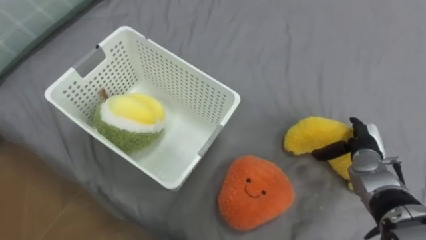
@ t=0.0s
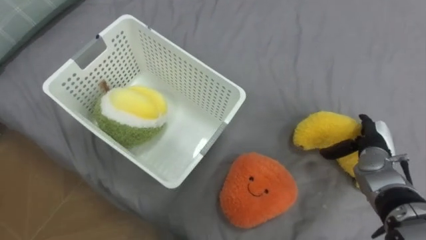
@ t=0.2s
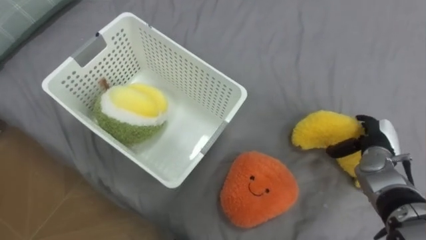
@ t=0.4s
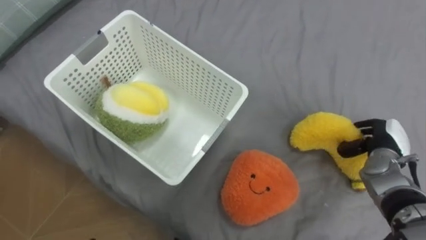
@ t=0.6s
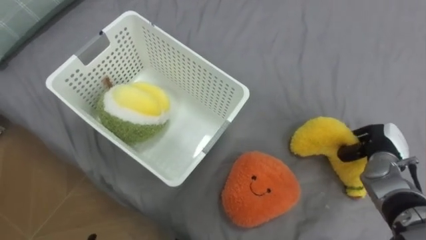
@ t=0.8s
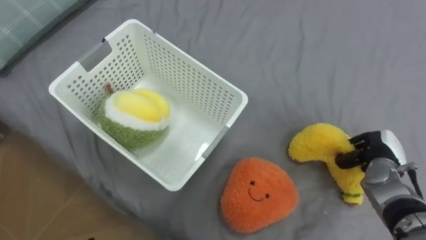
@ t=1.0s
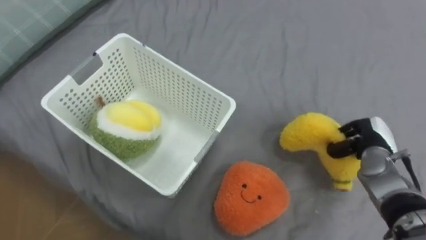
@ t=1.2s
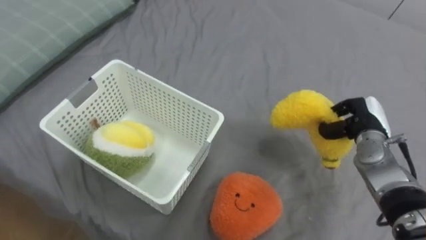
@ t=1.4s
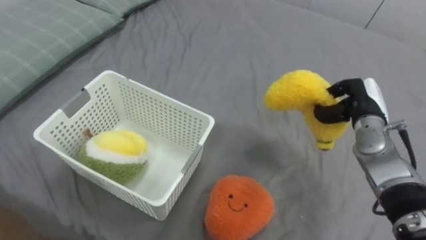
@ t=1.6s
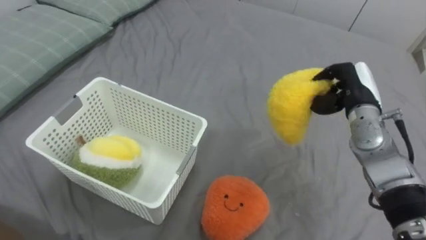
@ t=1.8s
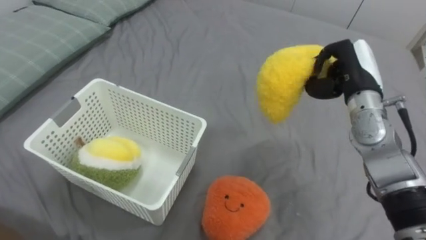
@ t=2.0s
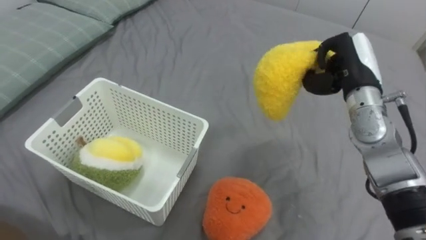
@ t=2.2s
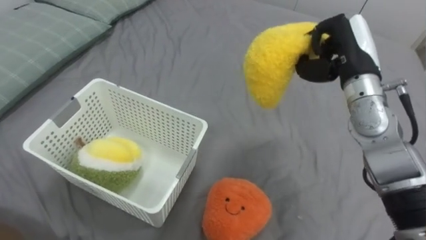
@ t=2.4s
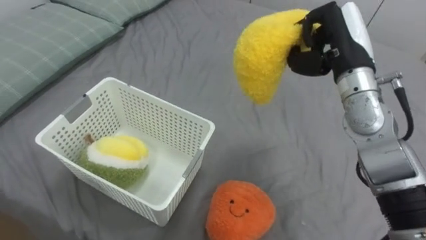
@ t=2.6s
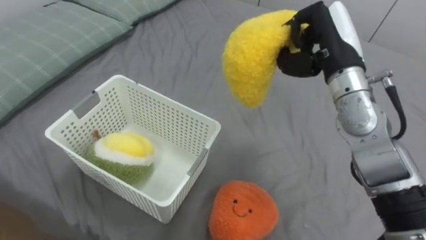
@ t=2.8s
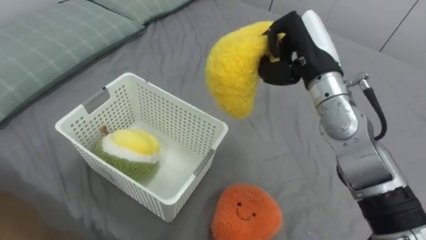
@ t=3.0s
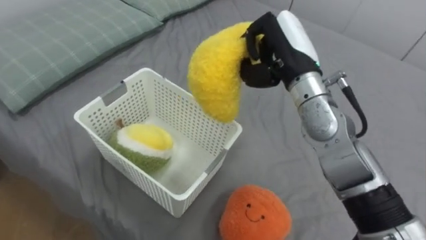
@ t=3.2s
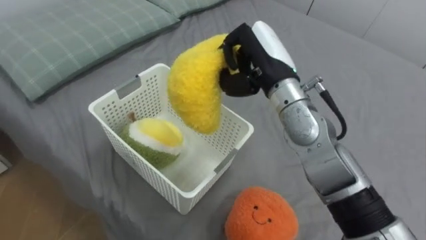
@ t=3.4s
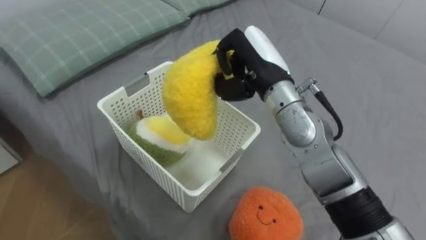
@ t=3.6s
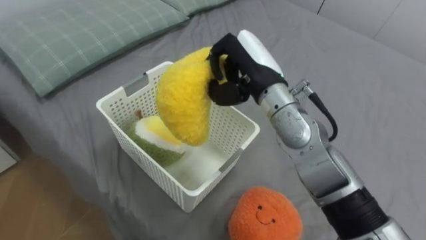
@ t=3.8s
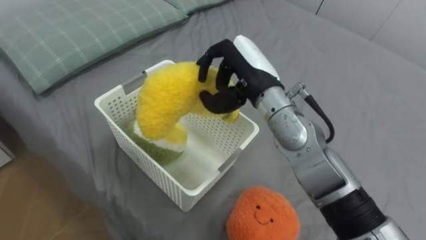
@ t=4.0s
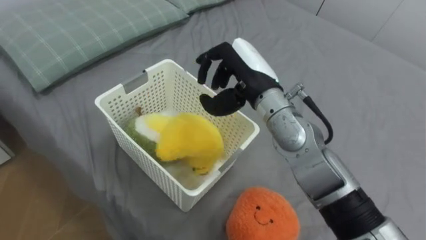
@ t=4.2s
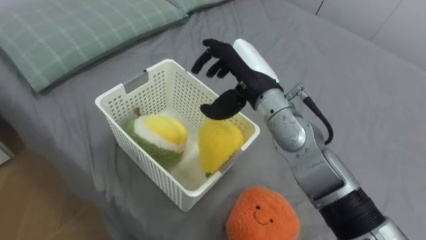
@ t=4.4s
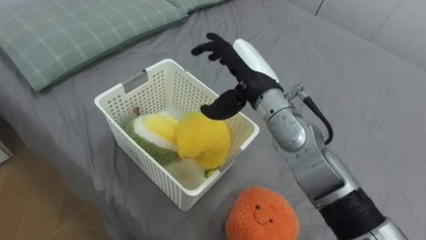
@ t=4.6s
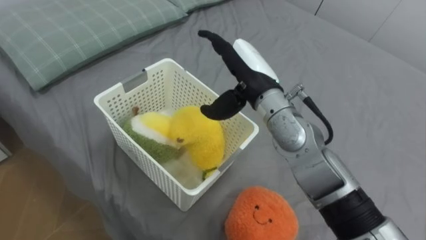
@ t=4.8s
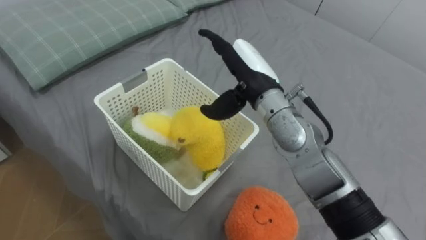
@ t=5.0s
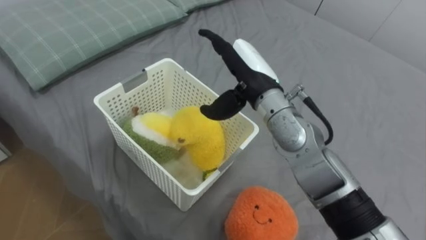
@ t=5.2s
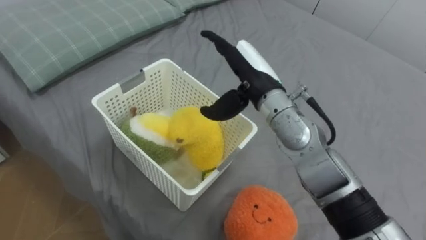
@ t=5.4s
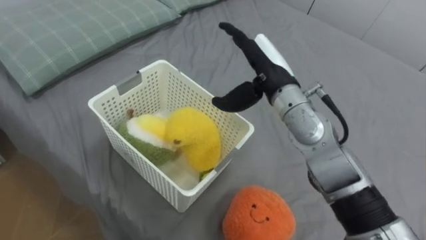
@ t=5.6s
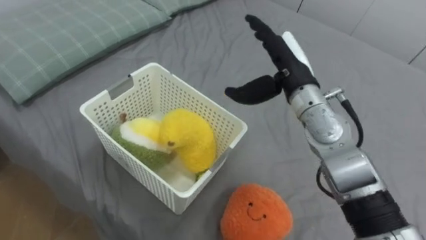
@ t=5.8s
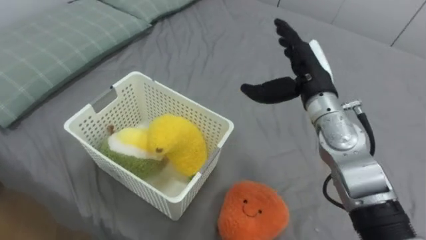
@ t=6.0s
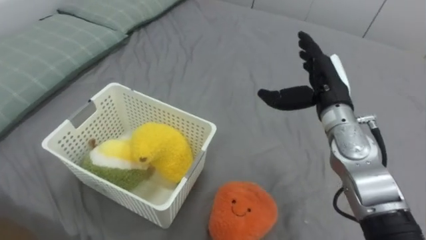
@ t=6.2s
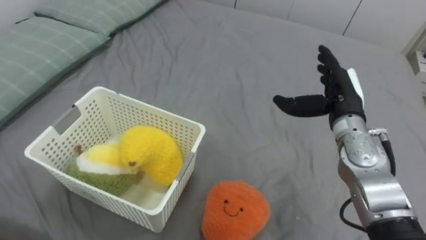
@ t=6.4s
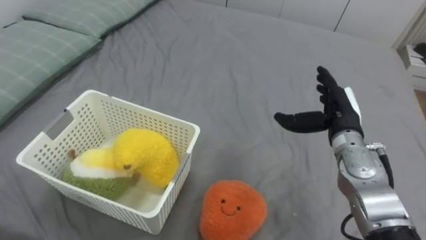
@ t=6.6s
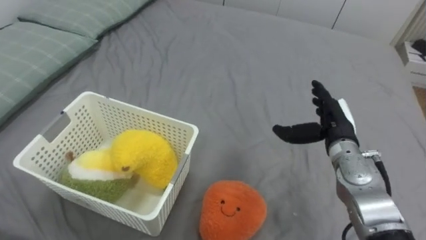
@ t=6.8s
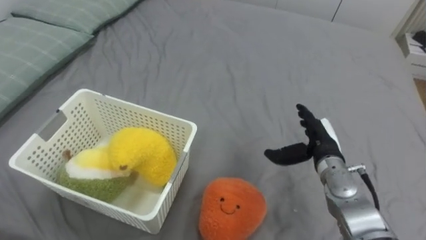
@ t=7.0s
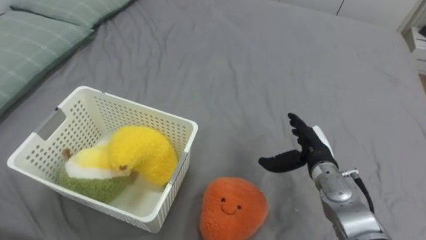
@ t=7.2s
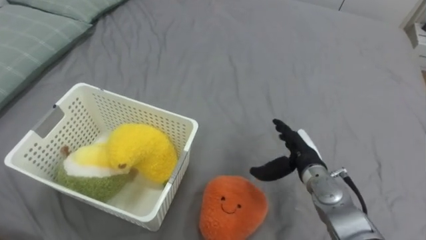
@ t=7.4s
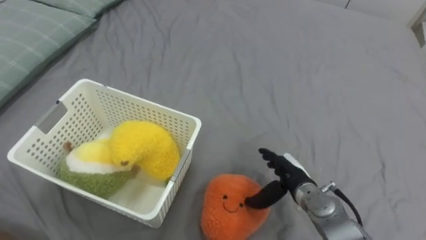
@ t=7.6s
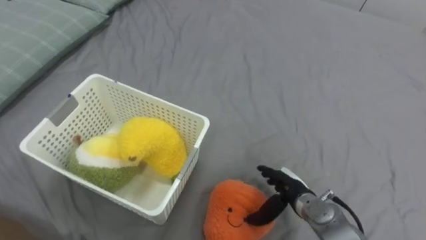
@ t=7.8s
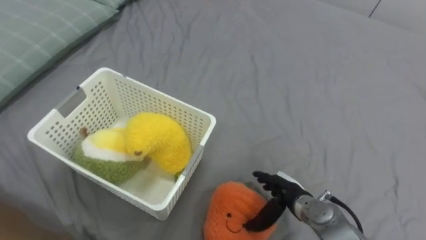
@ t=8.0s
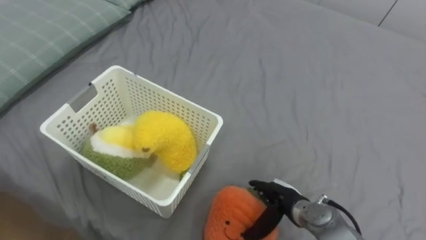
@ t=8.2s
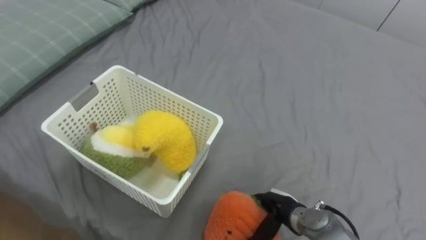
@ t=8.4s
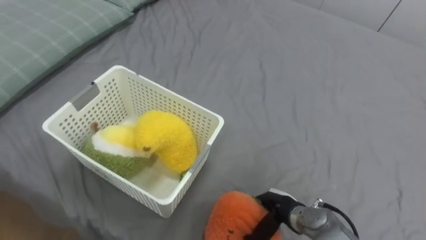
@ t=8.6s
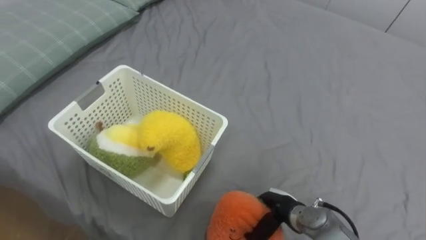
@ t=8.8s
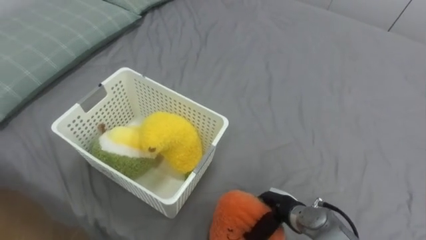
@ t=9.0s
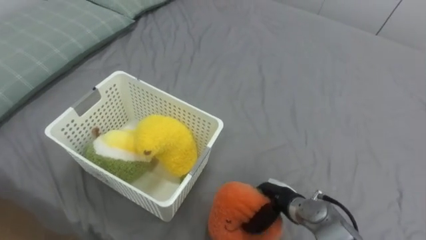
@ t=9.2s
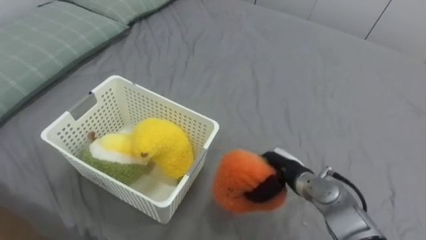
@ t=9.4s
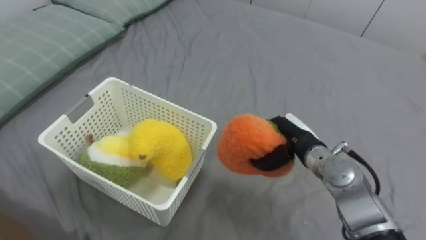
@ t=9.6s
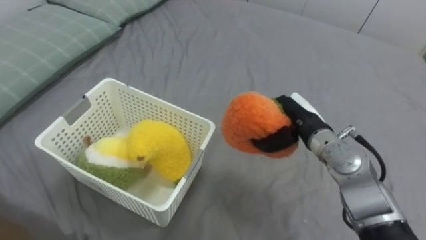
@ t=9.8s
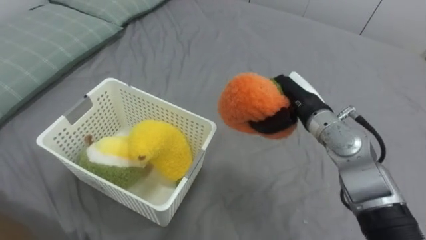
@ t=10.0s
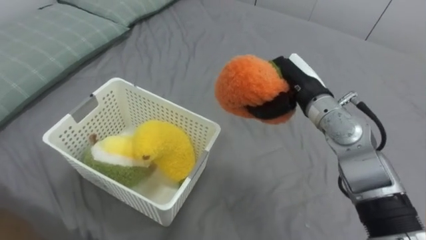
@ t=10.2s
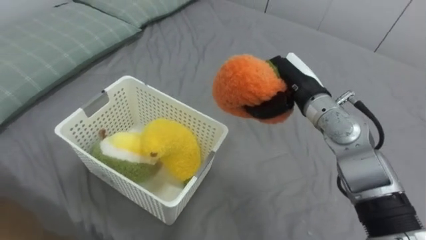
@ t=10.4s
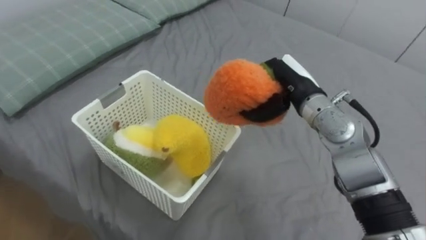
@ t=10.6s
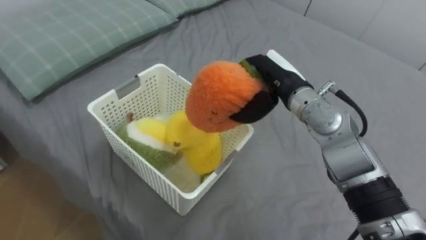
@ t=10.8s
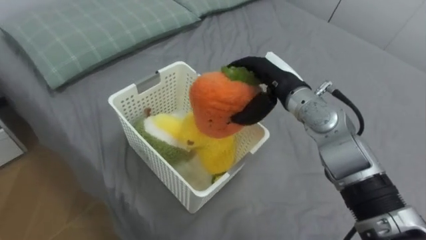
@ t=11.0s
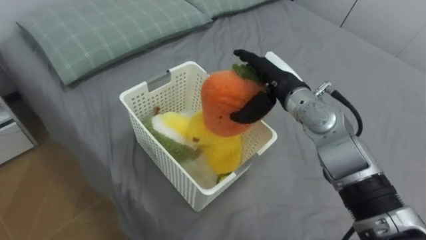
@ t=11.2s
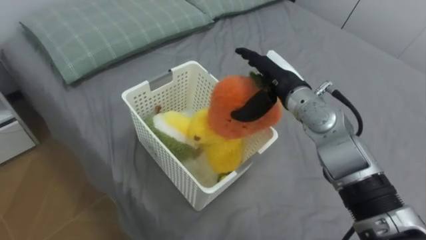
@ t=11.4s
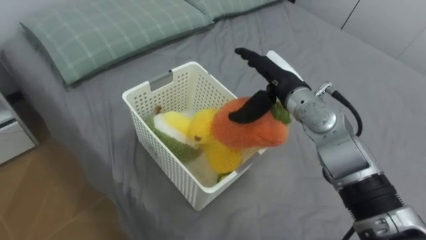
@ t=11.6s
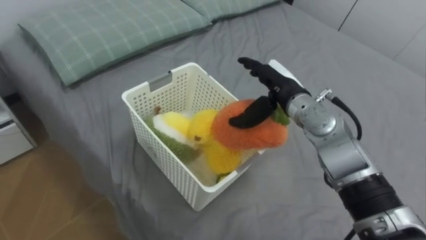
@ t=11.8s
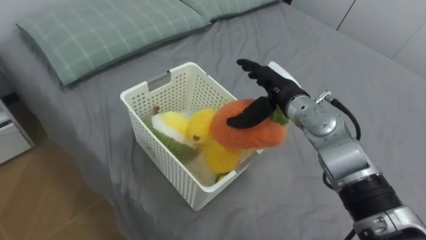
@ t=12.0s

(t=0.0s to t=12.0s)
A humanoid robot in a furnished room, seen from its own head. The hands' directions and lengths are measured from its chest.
Task of the whole recording: Put the toys on the bed into the basket on the left.
t=0.0s - t=1.6s: The right hand shifts approximately 5 cm upward, and closes up.
t=1.6s - t=3.0s: The right hand travels upward and to the left by roughly 20 cm.
t=3.0s - t=4.4s: The right hand shifts some 10 cm to the left, and opens.
t=4.4s - t=6.0s: The right hand goes some 10 cm to the right.
t=6.0s - t=7.6s: The right hand shifts some 20 cm downward and backward.
t=7.6s - t=9.0s: The right hand shifts some 10 cm backward and downward, and closes.
t=9.0s - t=10.4s: The right hand is displaced upward and forward by approximately 30 cm.
t=10.4s - t=12.0s: The right hand opens its fingers.

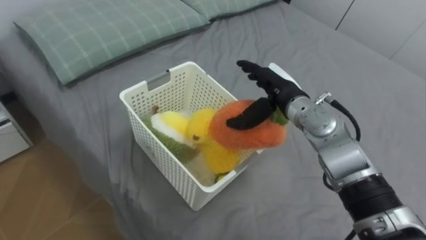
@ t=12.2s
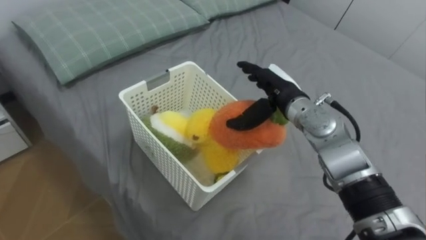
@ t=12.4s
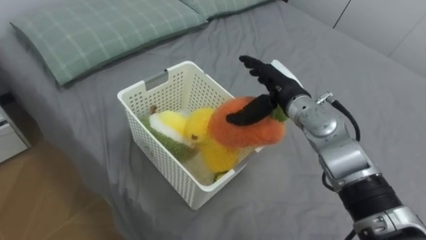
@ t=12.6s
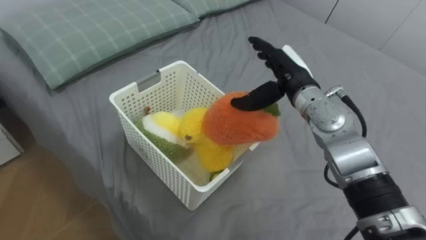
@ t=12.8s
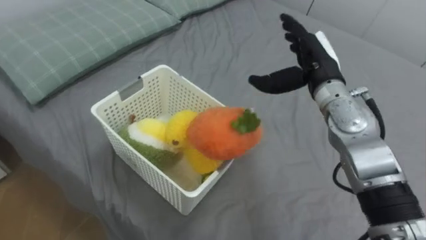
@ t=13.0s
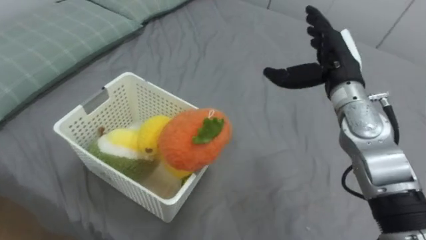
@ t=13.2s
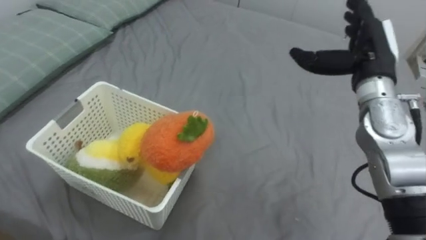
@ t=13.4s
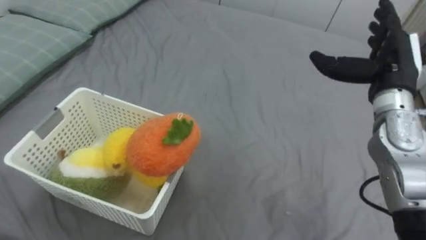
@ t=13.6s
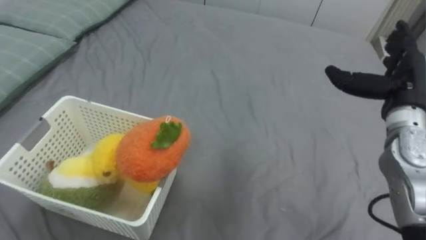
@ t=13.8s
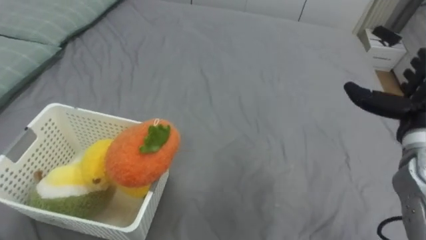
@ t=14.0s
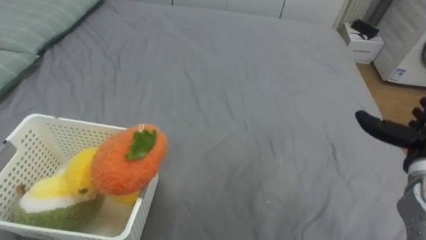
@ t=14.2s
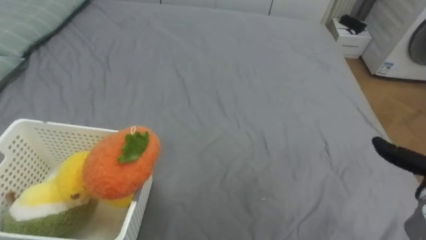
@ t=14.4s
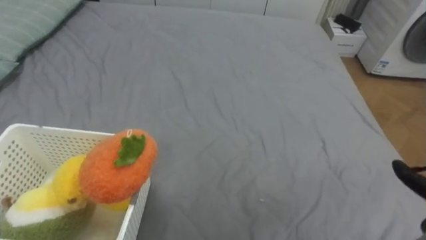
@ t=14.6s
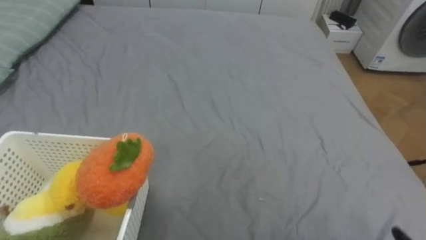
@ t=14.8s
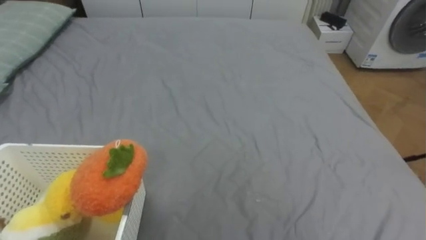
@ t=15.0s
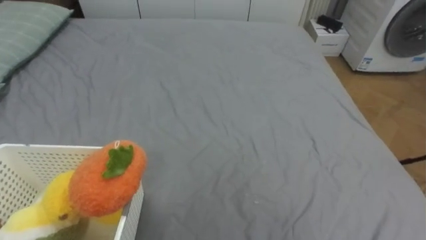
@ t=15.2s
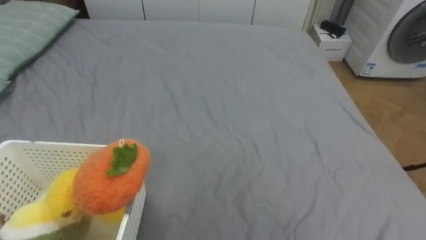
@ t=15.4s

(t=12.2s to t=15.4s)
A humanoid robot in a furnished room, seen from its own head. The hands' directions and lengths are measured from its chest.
Task of the whole recording: Put the toys on the bed into the basket on the left.
t=12.2s - t=13.8s: The right hand is displaced to the right by some 20 cm.

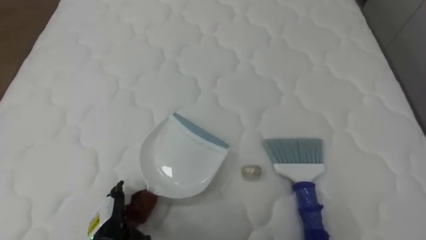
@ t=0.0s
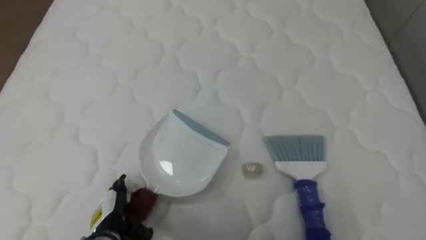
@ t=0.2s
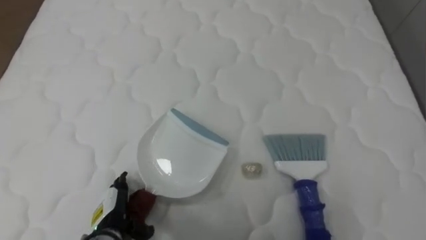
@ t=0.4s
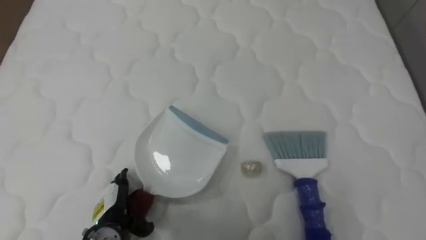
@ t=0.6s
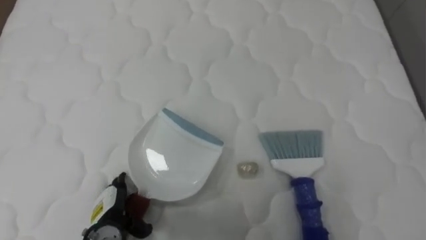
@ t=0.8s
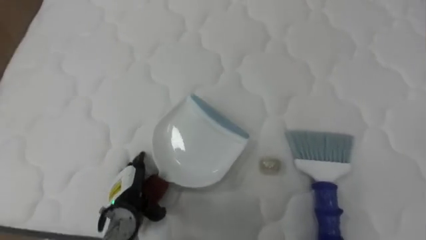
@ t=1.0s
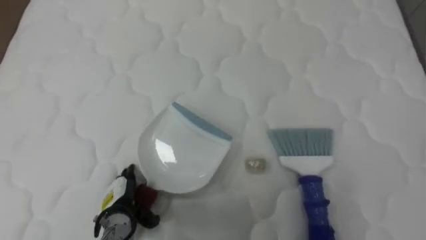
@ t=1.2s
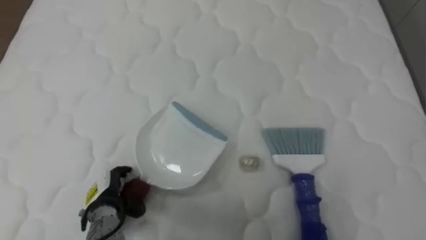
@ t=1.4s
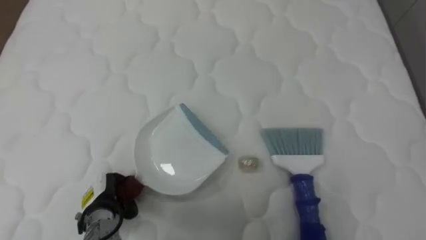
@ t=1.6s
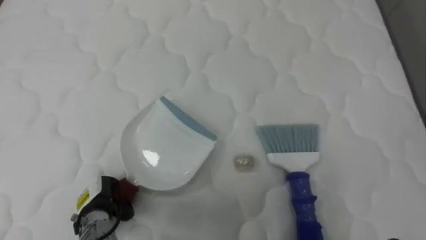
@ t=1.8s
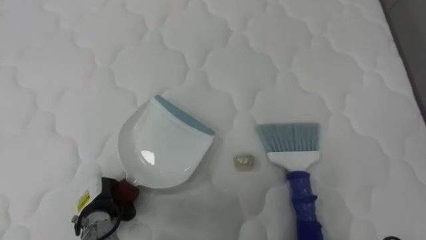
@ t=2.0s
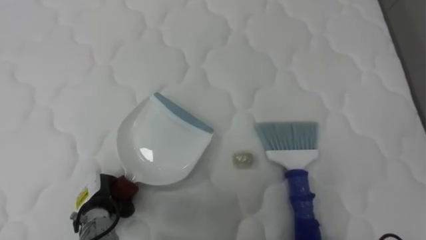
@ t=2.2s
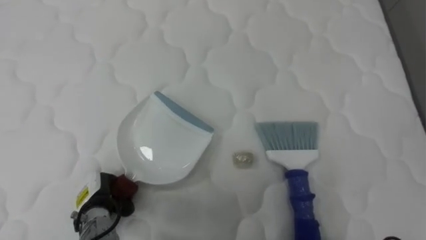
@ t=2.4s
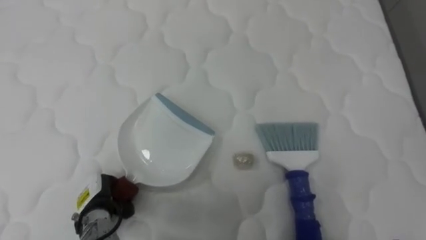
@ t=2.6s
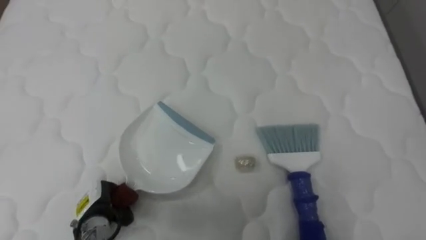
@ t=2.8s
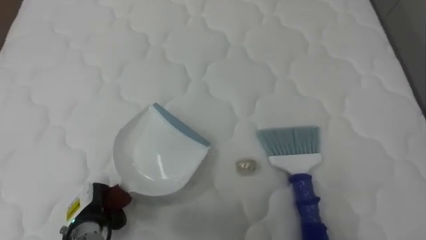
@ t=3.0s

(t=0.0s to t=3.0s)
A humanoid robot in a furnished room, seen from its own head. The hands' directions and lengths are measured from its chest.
Task of the whole recording: Pick up the brush on your right and the dustpan on your left. Use the brush to sweep the crumpled paper on the bed into the dustpan, then turn left and empty it into the basket.
t=0.0s - t=1.6s: The left hand shifts some 5 cm forward, and closes.
